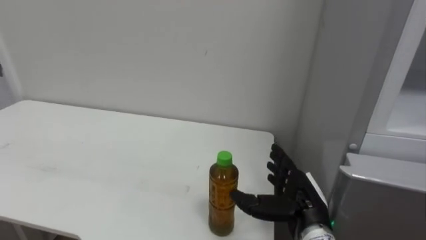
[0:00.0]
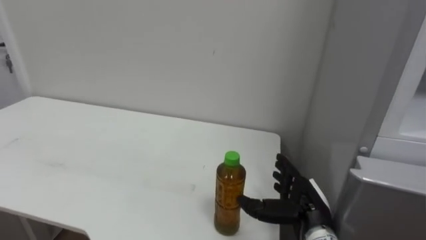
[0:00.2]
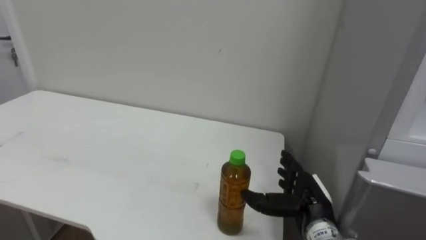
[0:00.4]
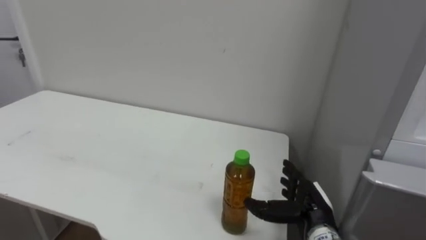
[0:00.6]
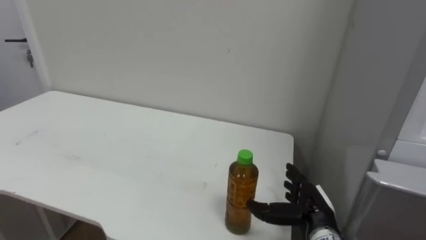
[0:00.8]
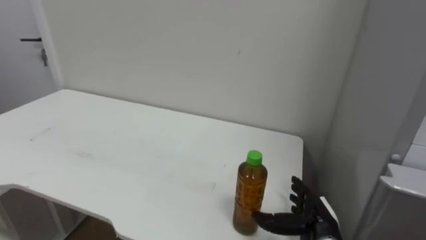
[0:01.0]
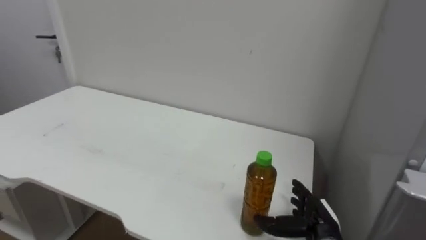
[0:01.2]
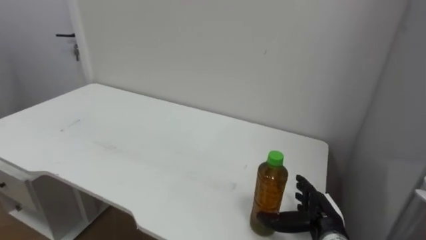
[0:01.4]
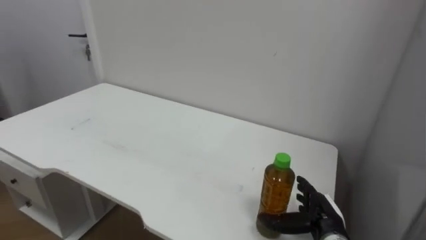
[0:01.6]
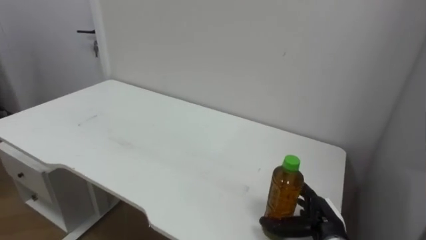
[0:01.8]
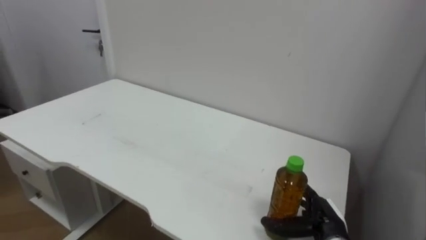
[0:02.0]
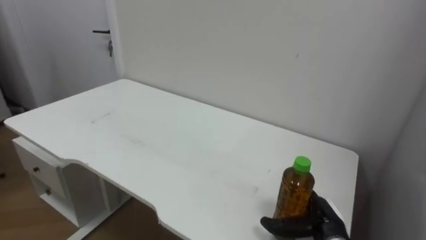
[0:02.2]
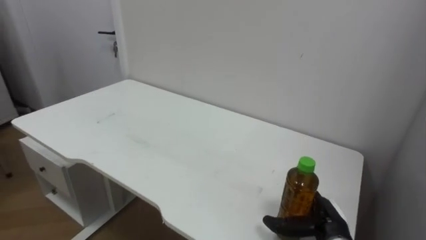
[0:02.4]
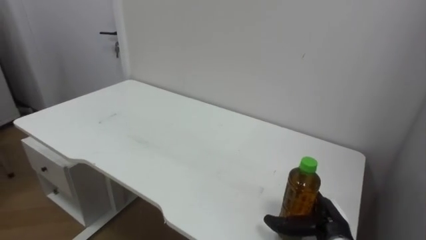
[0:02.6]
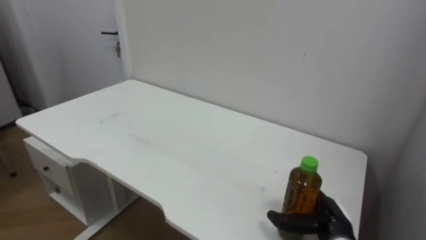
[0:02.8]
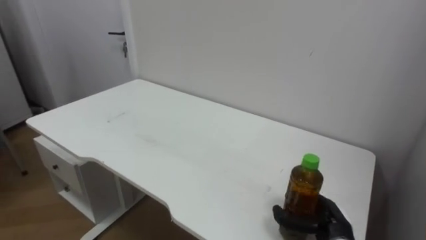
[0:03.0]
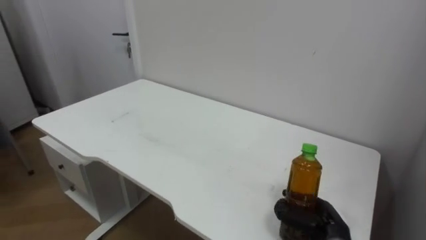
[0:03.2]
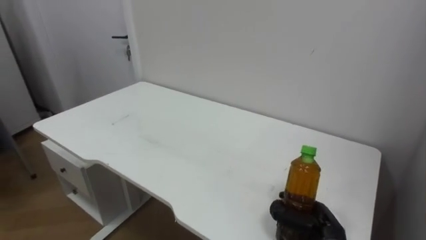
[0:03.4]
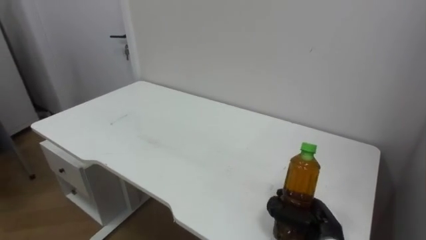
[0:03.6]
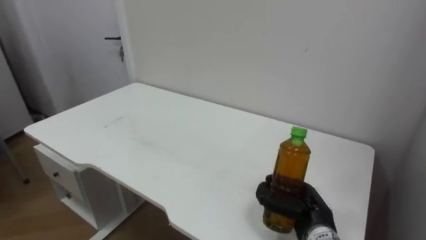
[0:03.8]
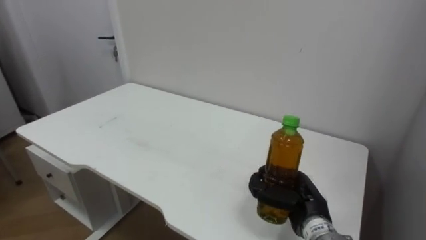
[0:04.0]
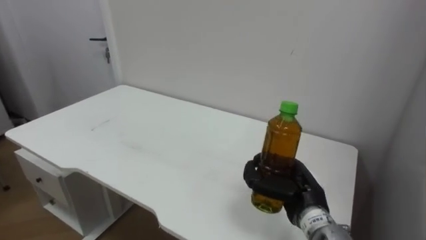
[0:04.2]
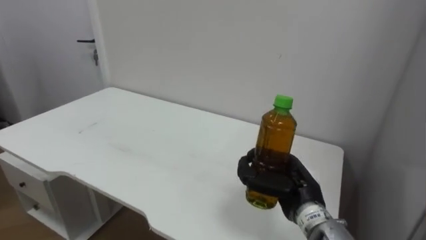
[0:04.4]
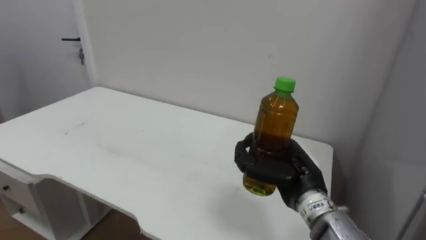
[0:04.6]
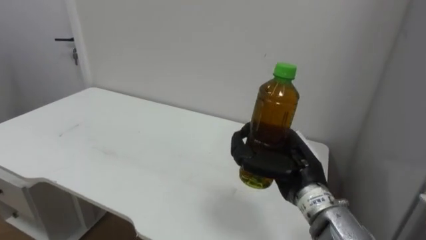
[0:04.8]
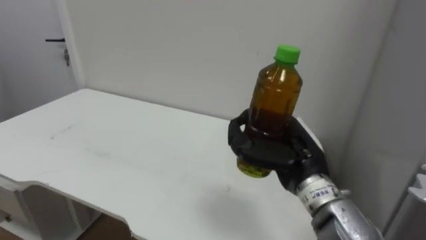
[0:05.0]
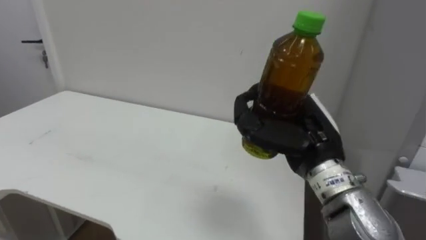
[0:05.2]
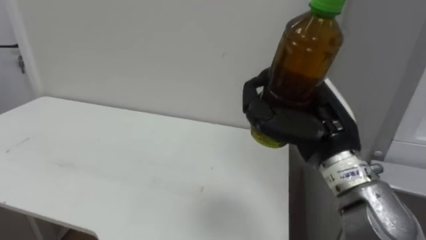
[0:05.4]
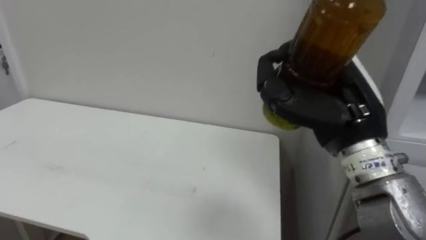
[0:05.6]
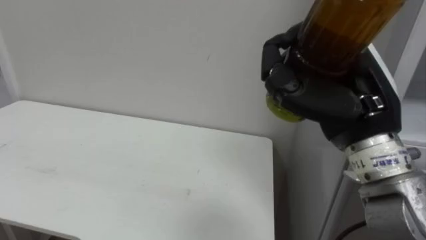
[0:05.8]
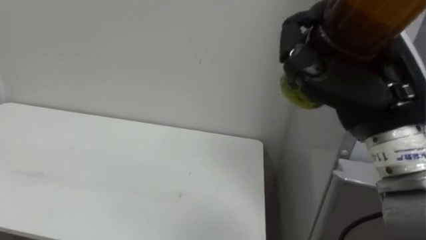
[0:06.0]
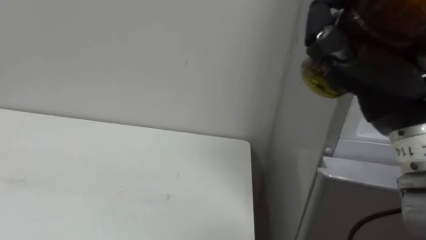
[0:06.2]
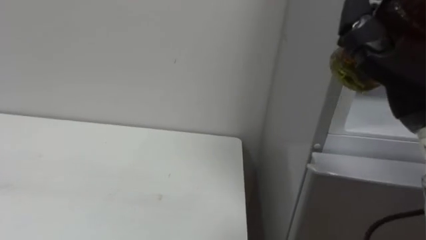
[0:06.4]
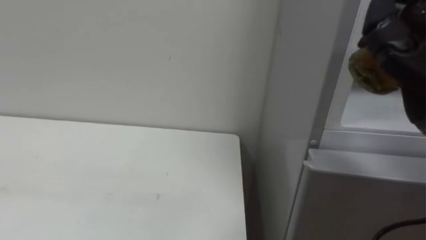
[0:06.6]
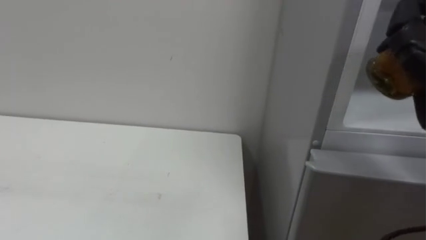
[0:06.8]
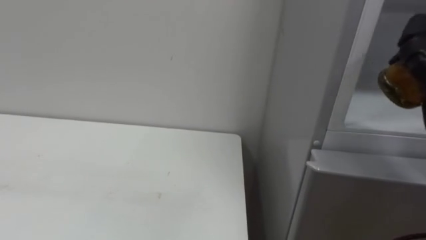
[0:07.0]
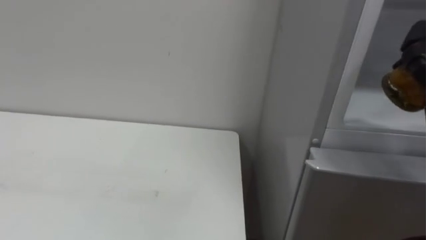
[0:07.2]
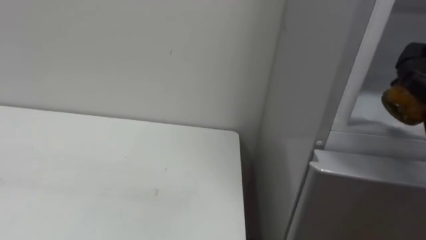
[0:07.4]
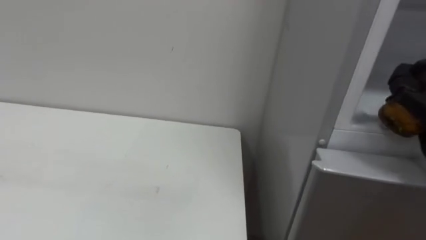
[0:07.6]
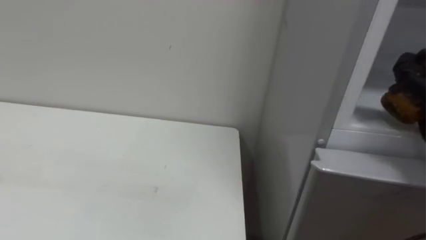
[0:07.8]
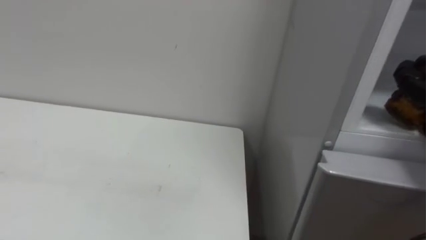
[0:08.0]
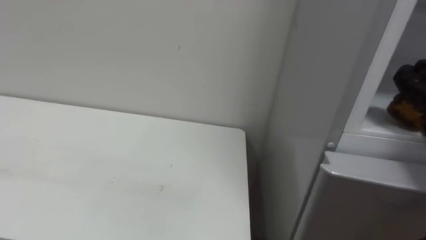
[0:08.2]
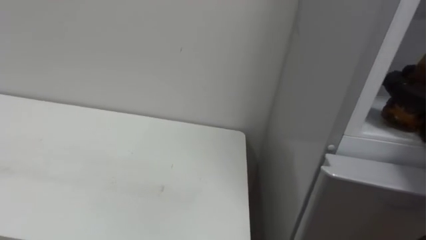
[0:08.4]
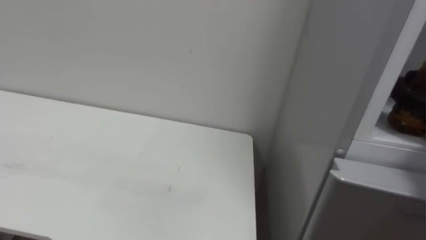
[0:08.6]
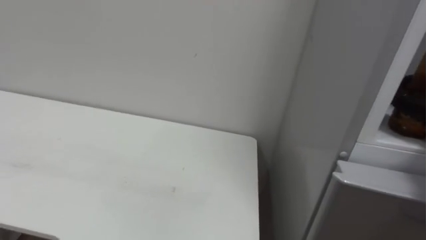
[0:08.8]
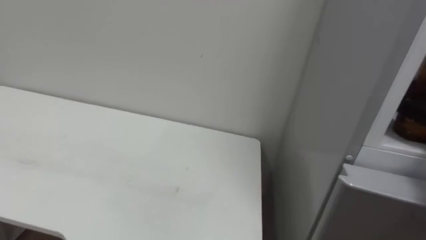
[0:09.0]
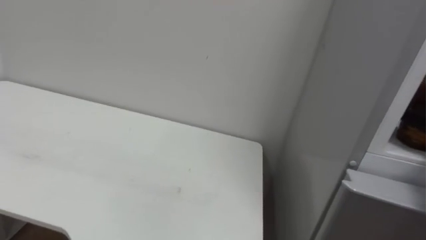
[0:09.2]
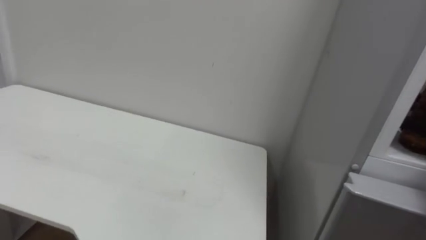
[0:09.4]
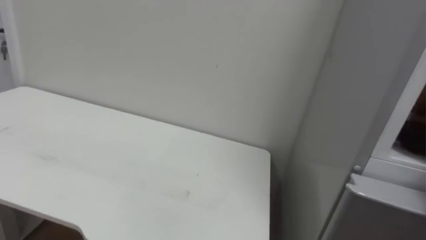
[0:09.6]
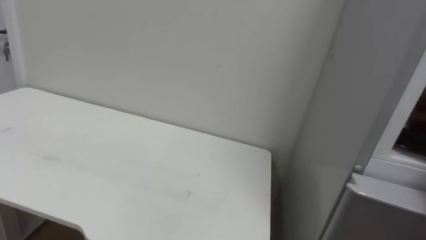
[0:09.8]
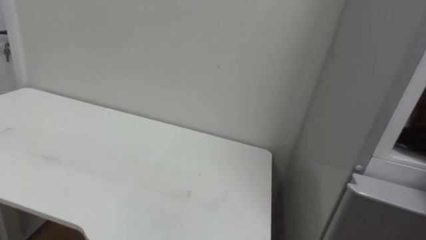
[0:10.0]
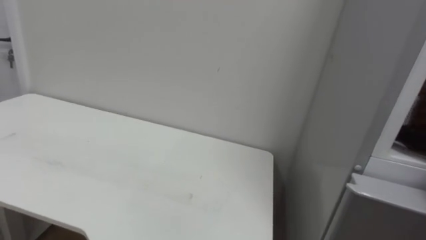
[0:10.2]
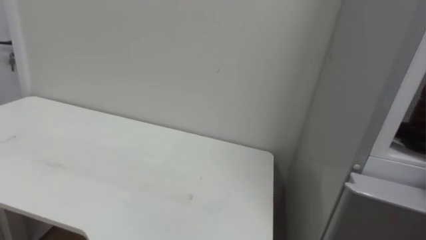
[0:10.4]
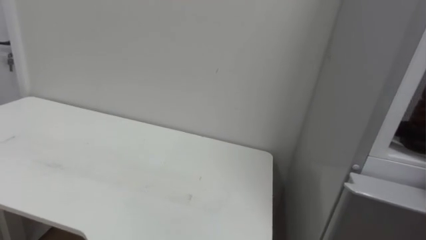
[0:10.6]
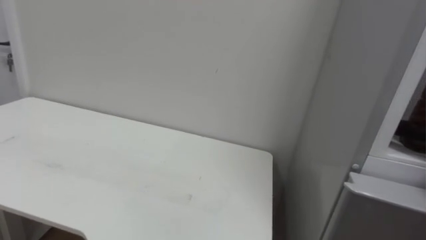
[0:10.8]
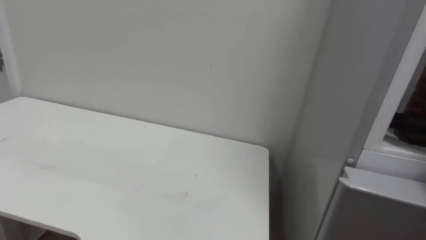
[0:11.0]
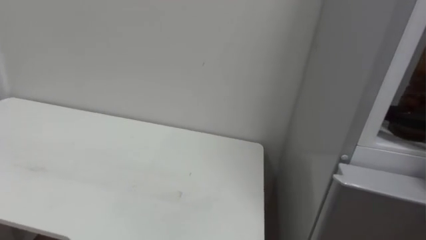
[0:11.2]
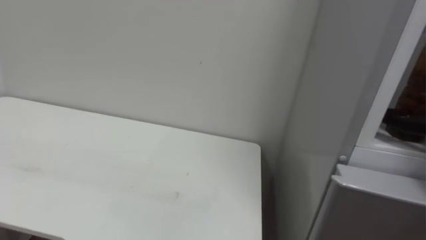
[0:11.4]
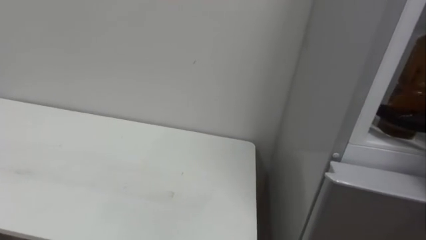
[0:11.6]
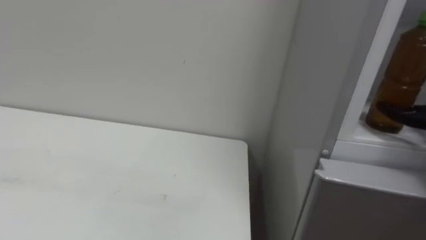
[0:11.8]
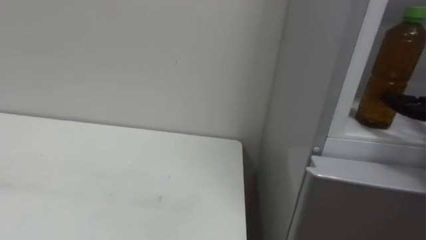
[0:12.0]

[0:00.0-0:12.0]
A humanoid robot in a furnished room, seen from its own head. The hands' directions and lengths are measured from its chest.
Task of the whole recording: Open the upper refrigerator door, put the drink from the table into the refrigerator, and then close the refrigerator door.
0:00.0 to 0:01.6: The right hand heads downward and to the right, covering about 10 cm.
0:01.6 to 0:03.0: The right hand closes up.
0:03.0 to 0:04.4: The right hand heads upward and to the left, covering approximately 10 cm, and closes.
0:04.4 to 0:06.0: The right hand moves upward, some 25 cm.

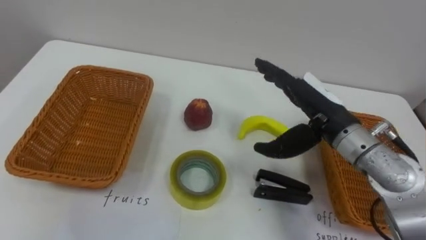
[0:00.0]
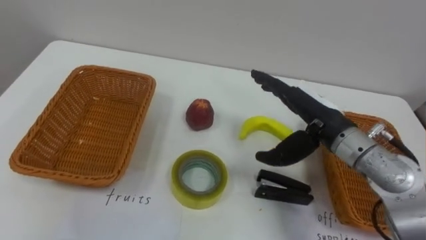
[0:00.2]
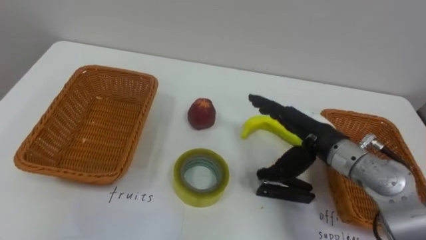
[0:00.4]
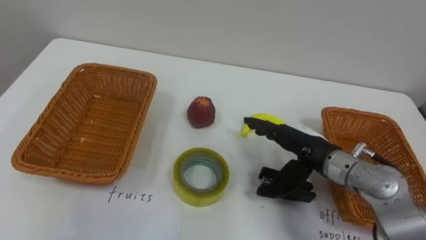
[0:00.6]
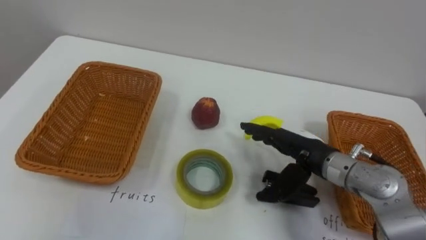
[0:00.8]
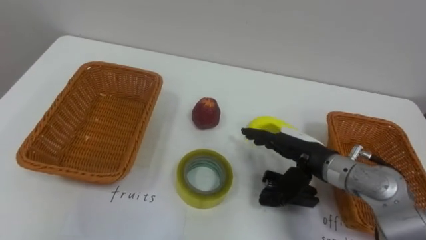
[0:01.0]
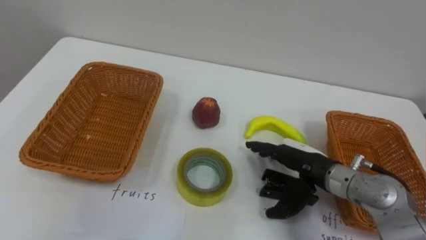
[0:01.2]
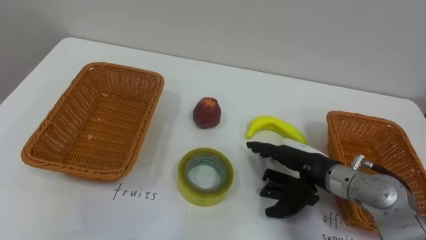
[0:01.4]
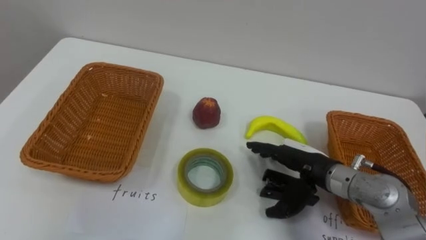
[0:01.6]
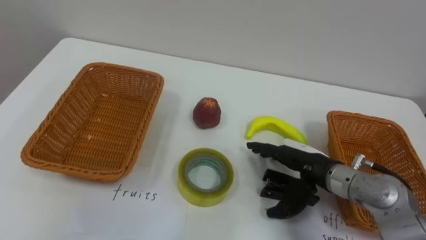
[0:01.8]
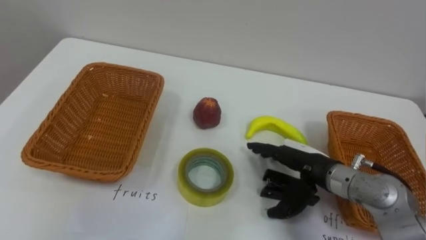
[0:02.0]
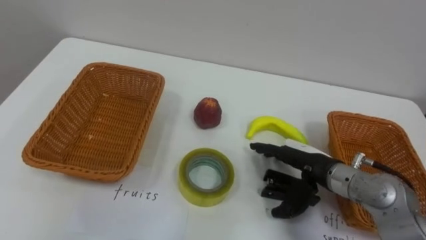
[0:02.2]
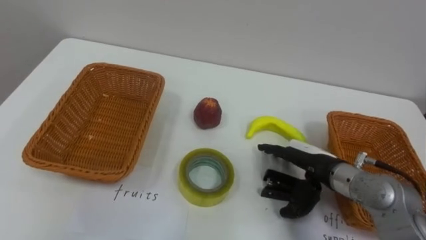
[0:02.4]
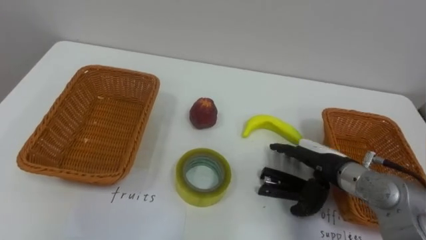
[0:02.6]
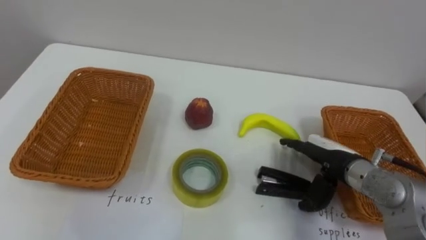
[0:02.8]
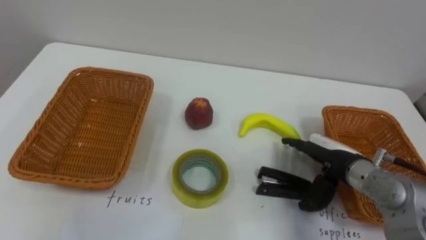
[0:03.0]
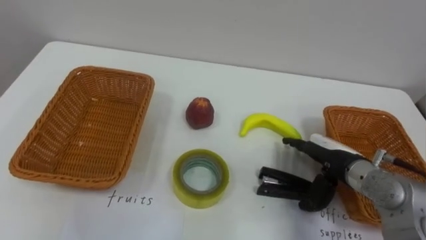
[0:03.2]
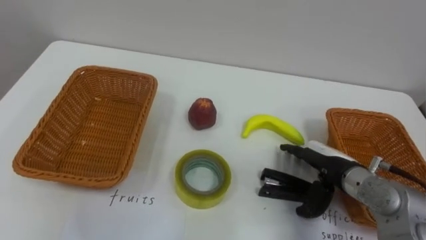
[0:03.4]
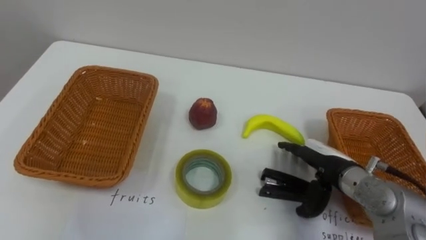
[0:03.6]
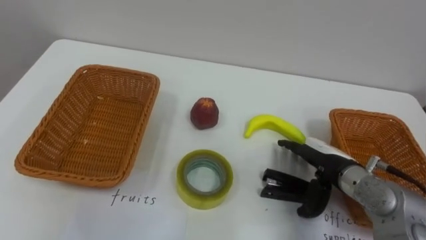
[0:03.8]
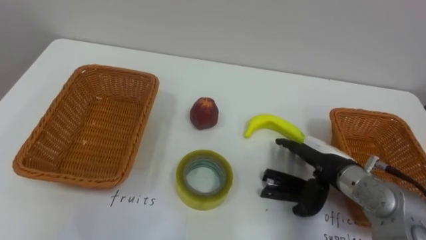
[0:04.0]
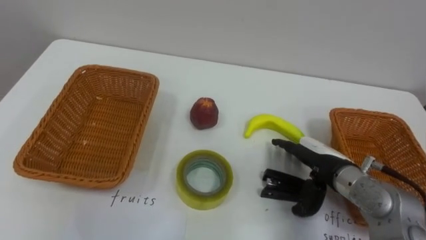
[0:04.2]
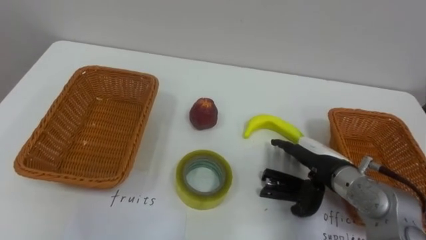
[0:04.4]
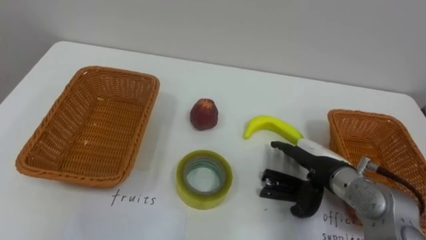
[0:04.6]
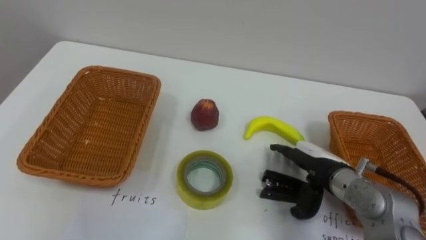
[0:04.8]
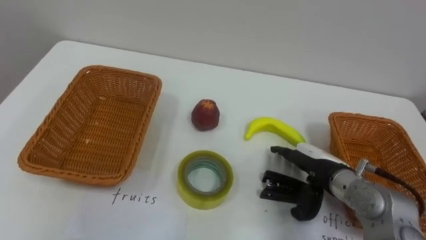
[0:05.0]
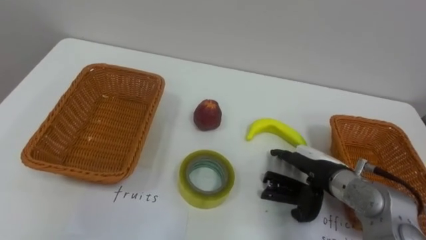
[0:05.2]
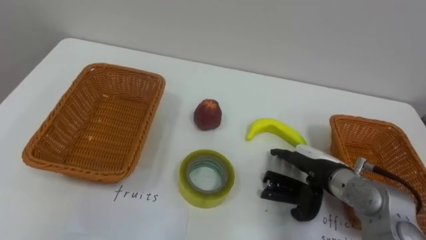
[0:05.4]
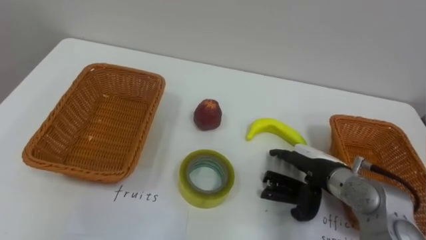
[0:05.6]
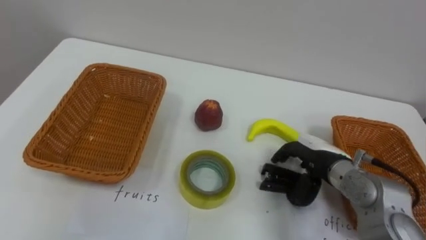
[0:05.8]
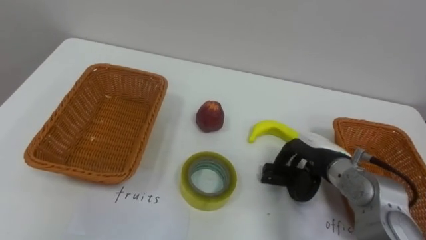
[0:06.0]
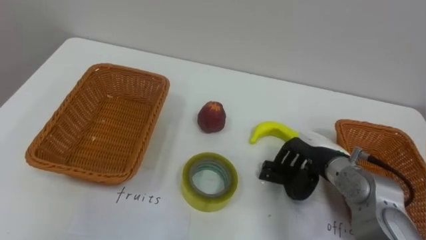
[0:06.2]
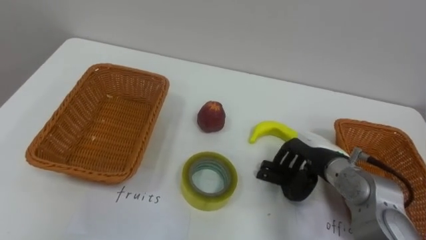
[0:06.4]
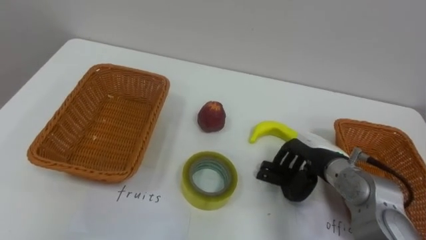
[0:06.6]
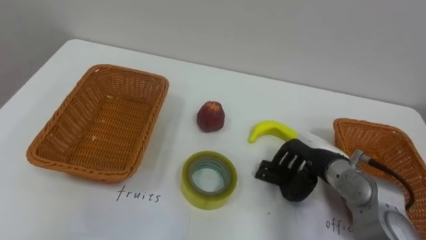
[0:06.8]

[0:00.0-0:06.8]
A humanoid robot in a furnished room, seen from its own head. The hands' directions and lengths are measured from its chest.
Task of the whole recording: Separate the items on the table and place them into the two baskets.
0:00.0 to 0:01.4: The right hand is displaced downward by some 10 cm.
0:05.4 to 0:06.8: The right hand closes its fingers.
